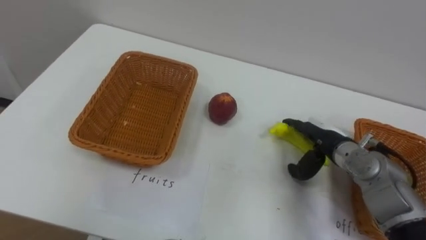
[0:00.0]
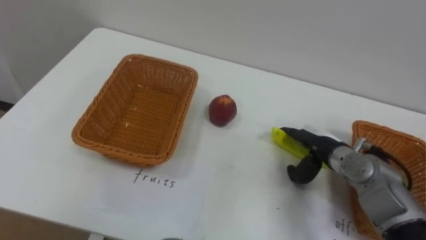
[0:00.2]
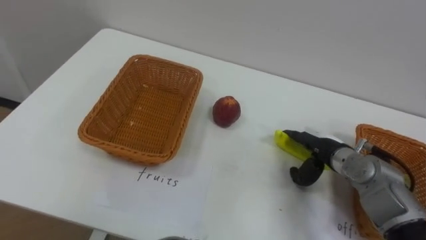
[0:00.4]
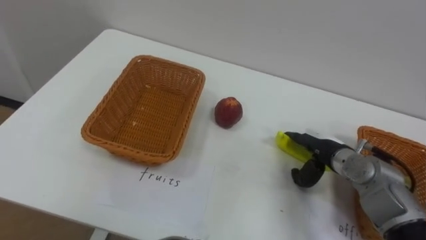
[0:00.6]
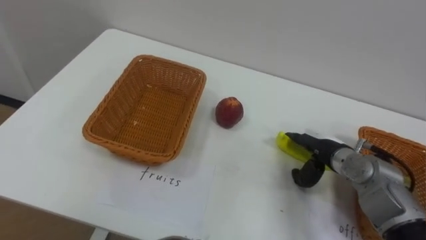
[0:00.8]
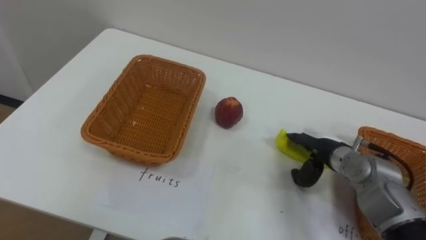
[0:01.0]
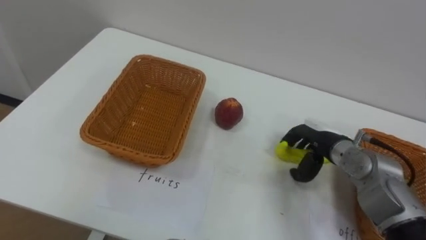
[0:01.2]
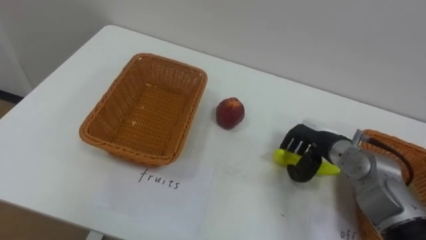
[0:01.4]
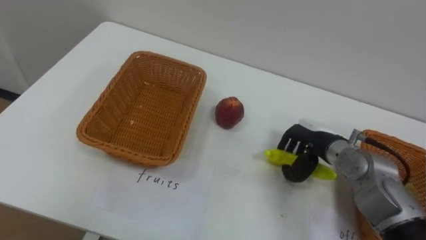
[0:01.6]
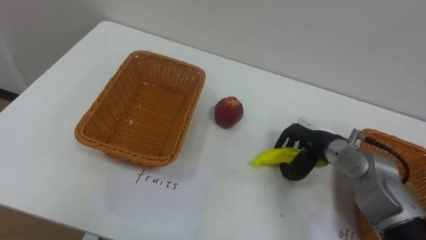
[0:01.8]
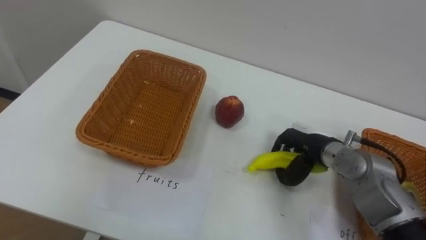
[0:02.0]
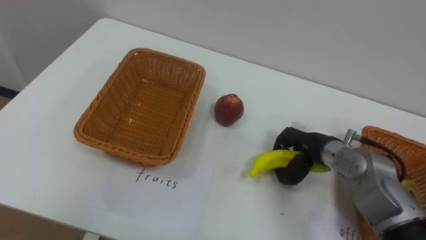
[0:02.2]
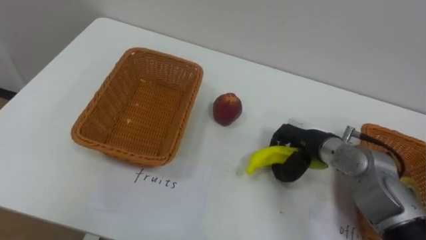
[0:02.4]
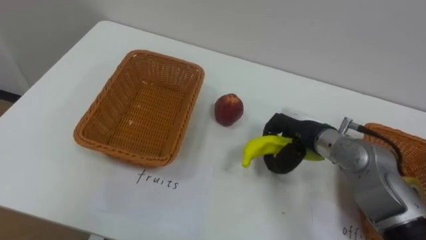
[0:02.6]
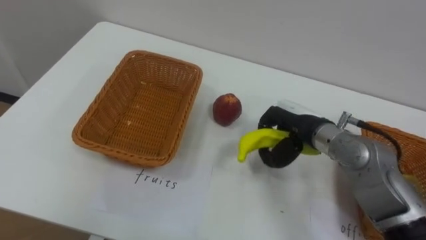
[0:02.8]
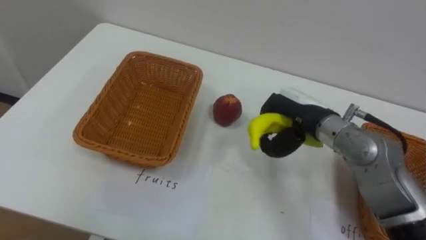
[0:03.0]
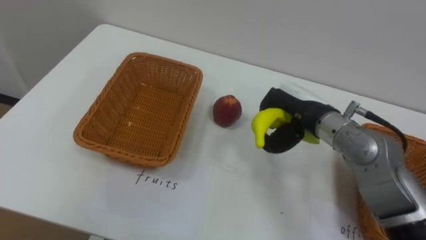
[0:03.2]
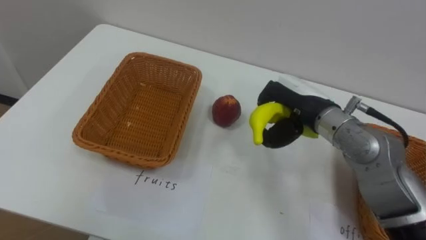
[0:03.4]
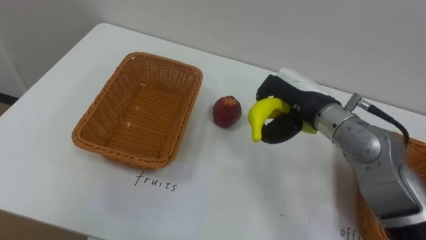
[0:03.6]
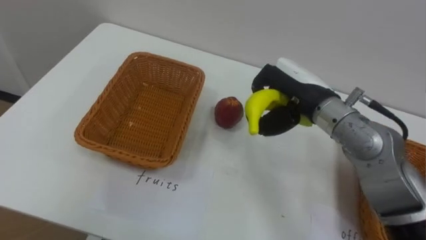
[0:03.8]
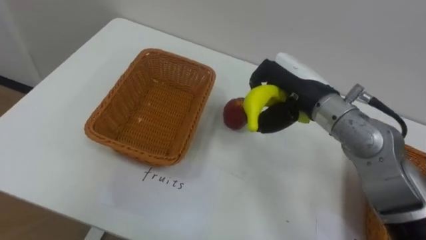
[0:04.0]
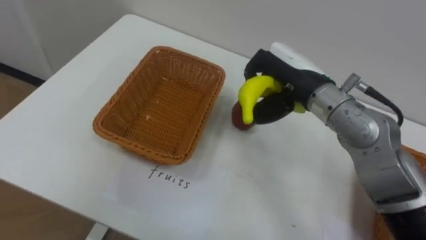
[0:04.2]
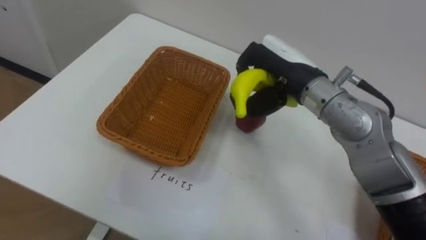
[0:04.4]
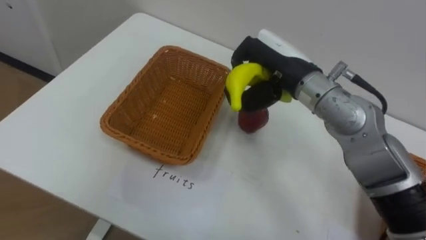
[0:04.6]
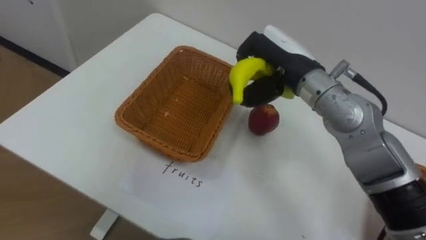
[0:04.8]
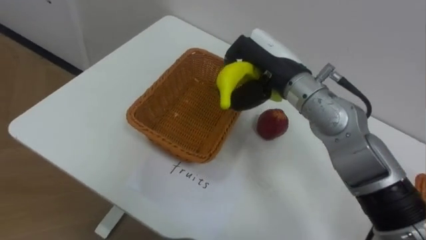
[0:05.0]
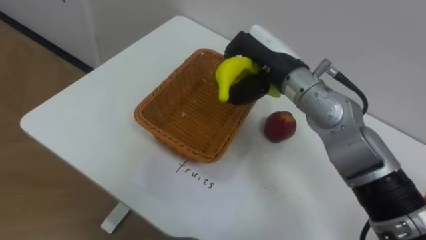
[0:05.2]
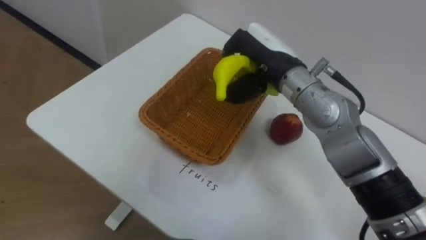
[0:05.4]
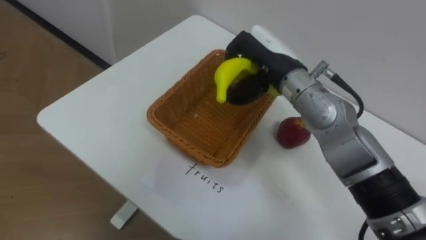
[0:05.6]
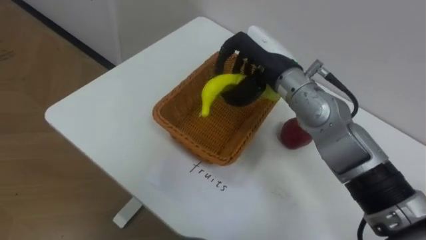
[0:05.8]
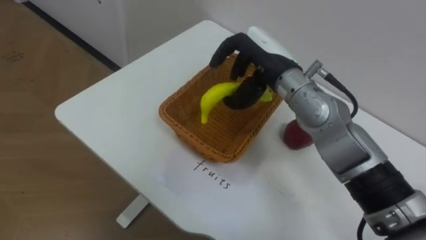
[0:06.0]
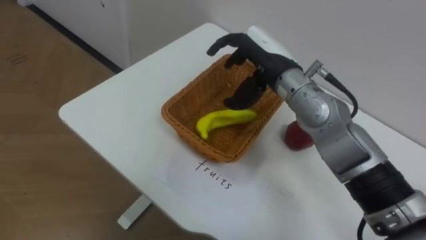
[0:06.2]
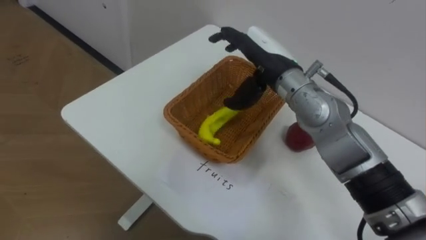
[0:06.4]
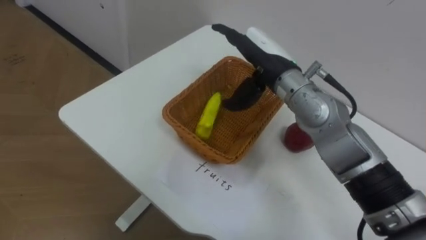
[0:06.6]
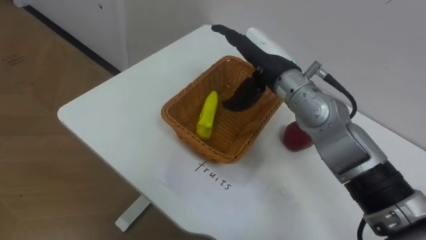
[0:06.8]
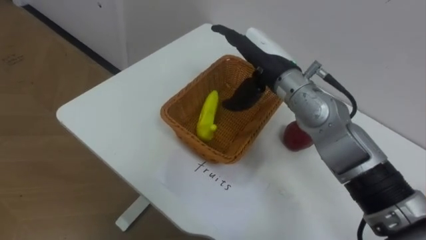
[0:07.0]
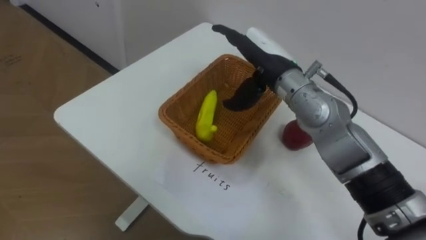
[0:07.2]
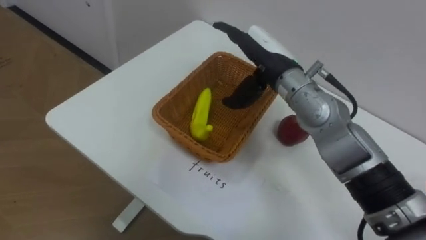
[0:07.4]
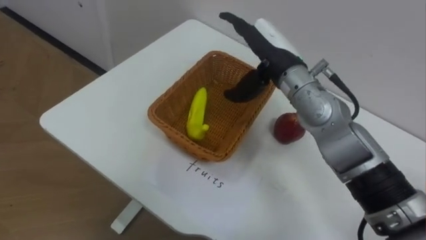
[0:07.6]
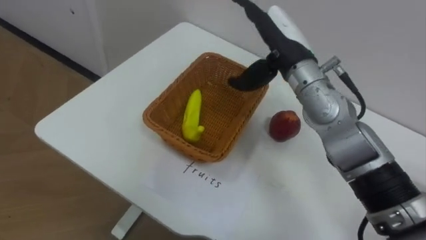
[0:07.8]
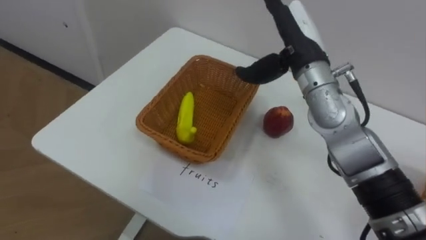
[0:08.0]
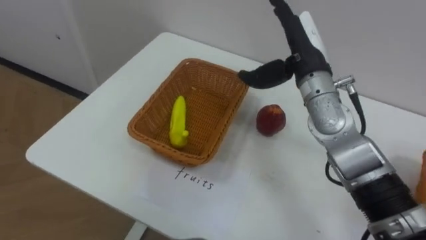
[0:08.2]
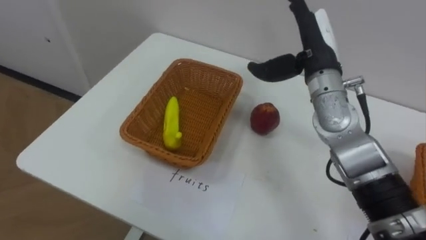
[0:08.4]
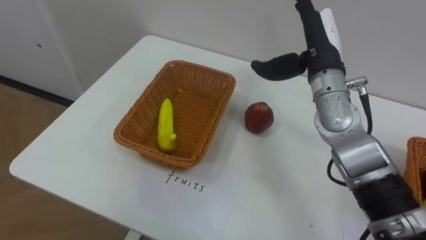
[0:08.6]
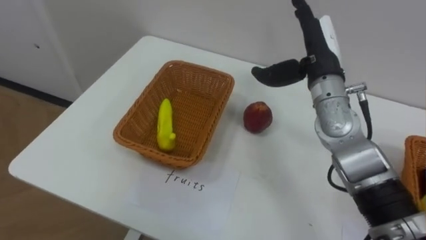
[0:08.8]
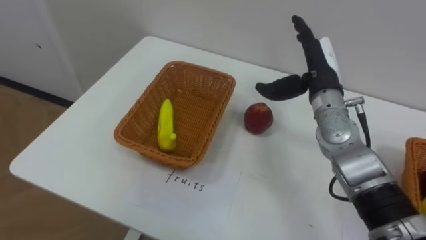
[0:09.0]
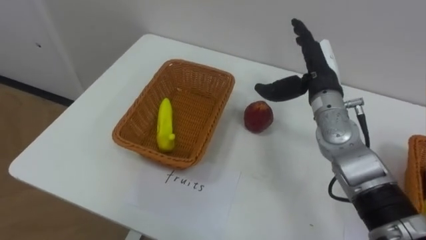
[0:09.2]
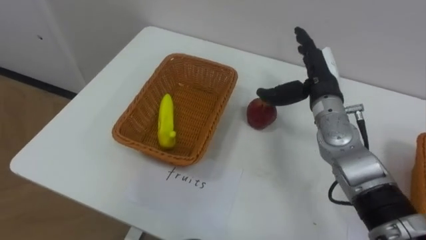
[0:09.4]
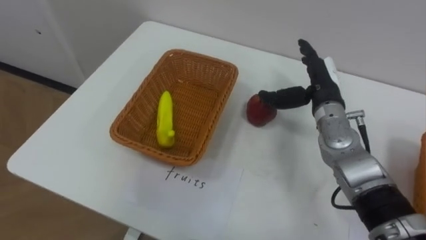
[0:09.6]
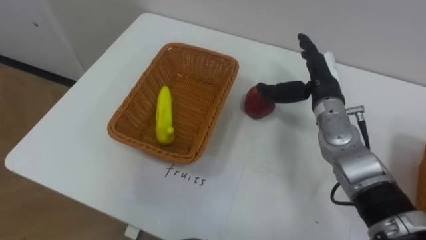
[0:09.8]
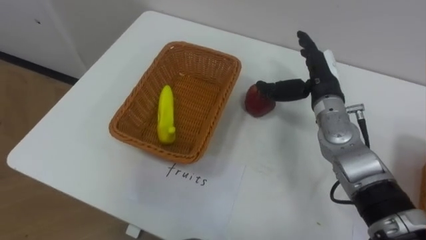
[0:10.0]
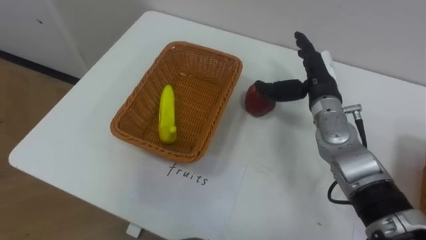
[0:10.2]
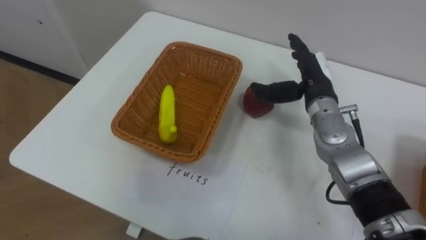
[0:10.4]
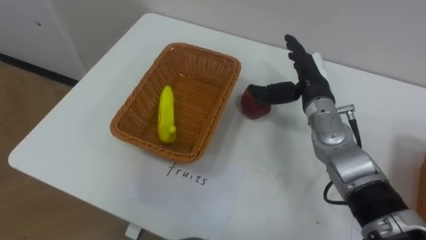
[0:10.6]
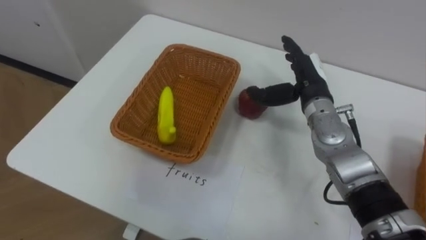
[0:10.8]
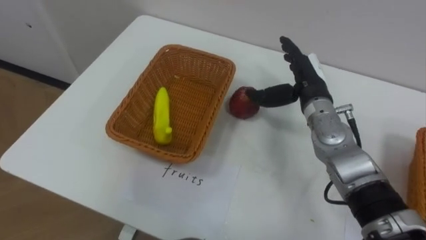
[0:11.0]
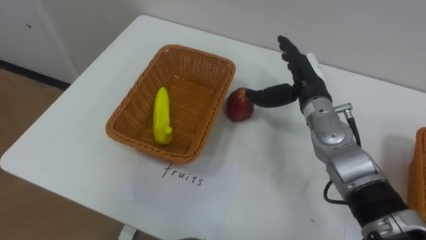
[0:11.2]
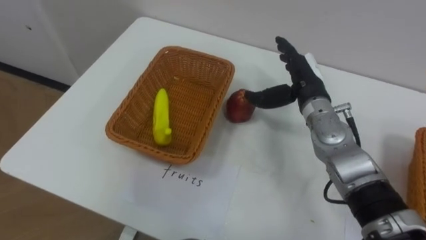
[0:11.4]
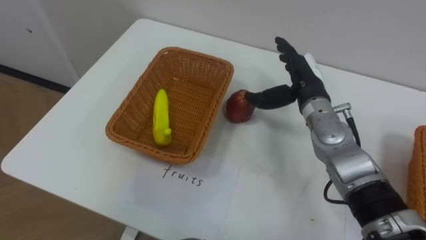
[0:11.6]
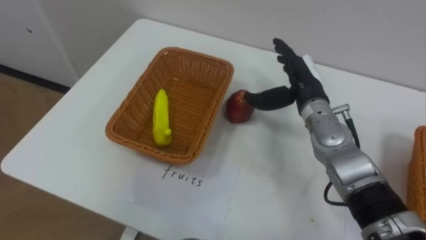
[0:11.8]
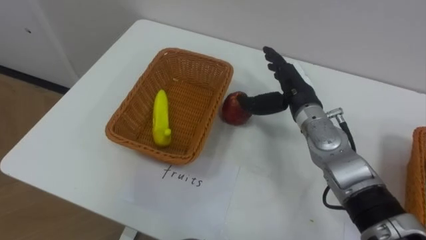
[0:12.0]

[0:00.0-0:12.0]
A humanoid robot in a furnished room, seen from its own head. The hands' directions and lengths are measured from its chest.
Task of the whole recording: Separate the items on the table and place them into the two baskets.
0:00.0 to 0:01.6: The right hand closes its fingers.
0:01.6 to 0:03.0: The right hand shifts roughly 10 cm upward.
0:03.0 to 0:04.4: The right hand travels upward by about 10 cm.
0:04.4 to 0:06.0: The right hand opens up.
0:06.0 to 0:07.6: The right hand opens.
0:07.6 to 0:09.0: The right hand is displaced to the right by some 10 cm.

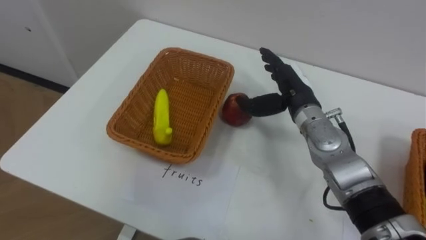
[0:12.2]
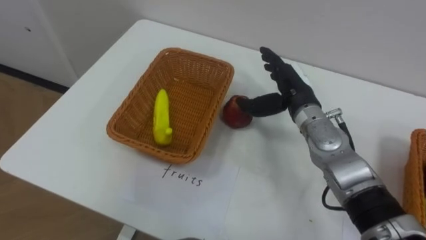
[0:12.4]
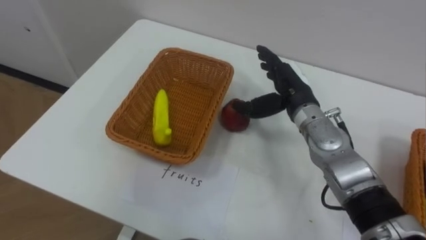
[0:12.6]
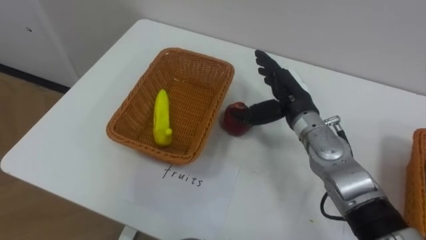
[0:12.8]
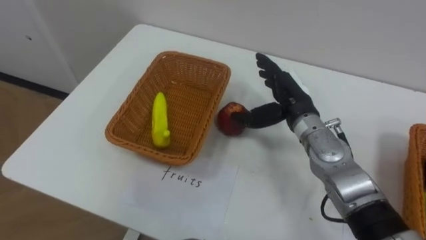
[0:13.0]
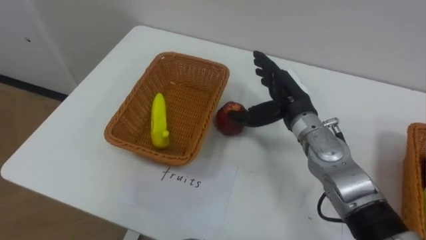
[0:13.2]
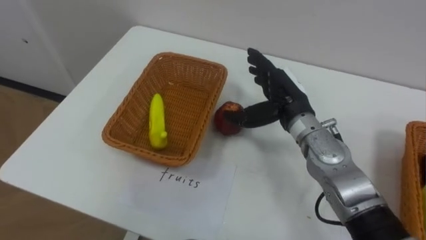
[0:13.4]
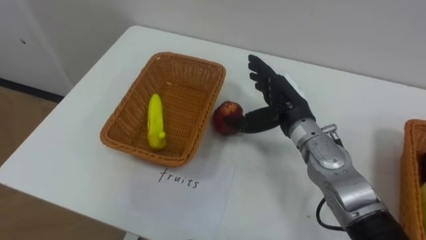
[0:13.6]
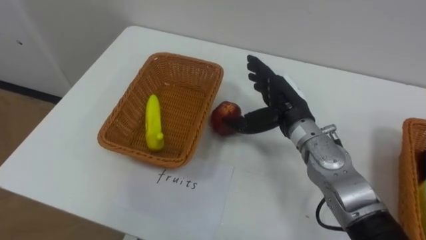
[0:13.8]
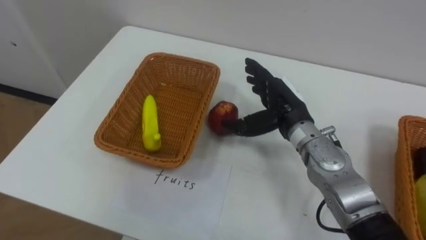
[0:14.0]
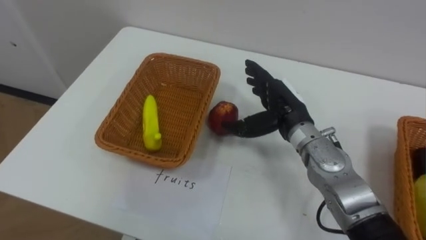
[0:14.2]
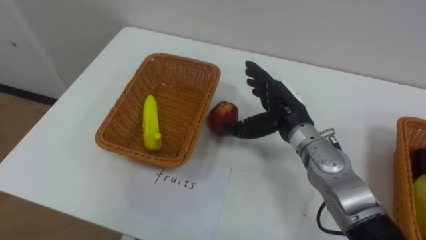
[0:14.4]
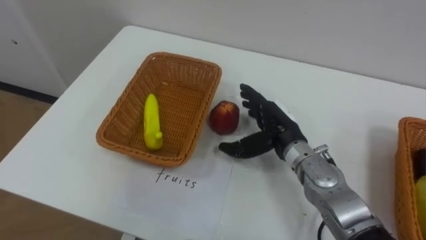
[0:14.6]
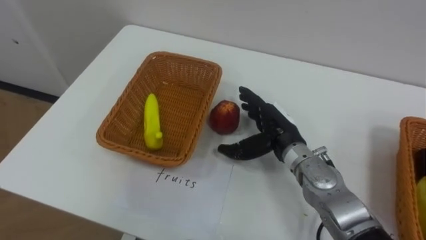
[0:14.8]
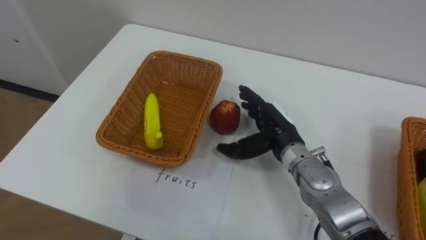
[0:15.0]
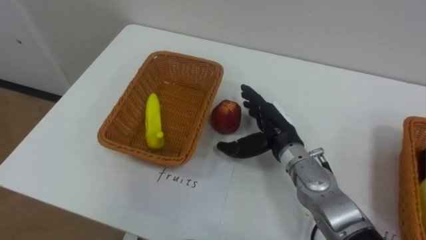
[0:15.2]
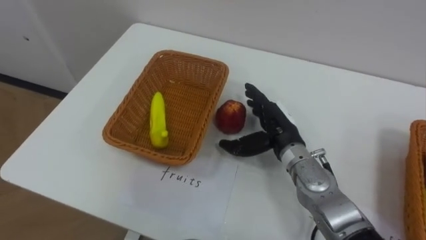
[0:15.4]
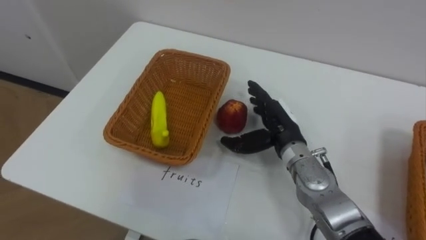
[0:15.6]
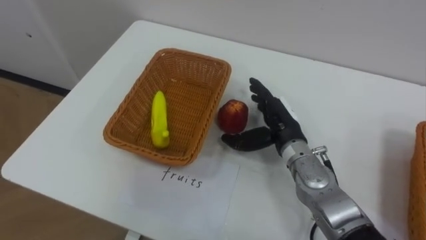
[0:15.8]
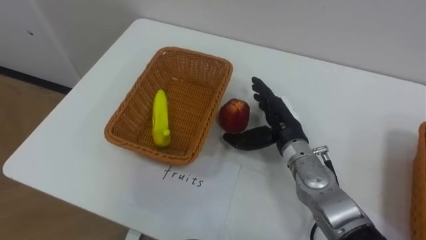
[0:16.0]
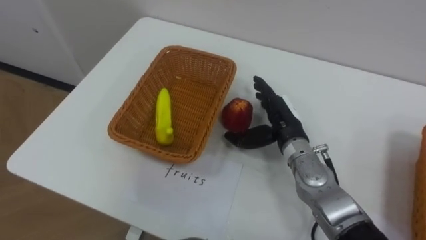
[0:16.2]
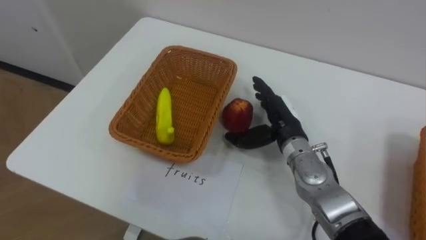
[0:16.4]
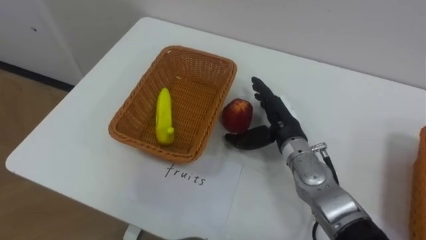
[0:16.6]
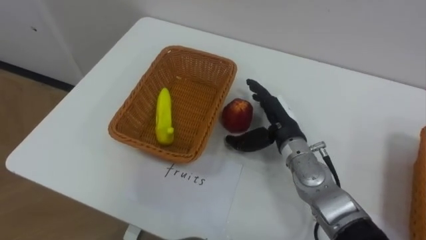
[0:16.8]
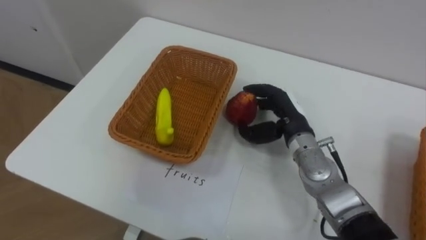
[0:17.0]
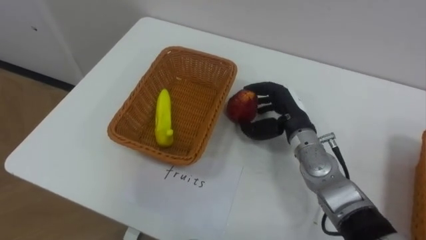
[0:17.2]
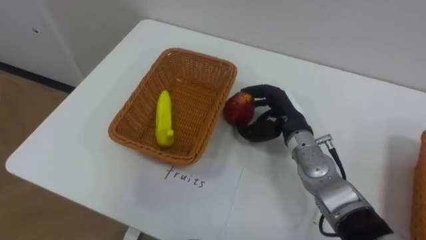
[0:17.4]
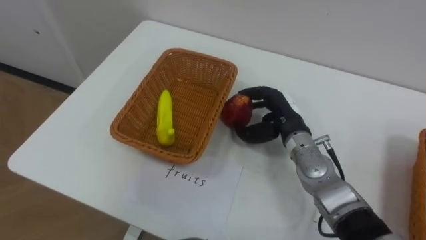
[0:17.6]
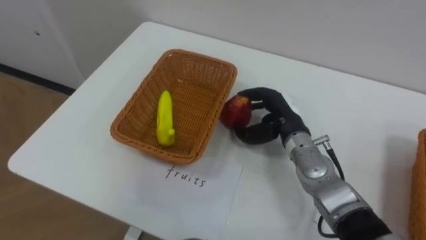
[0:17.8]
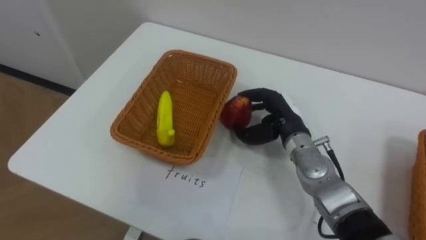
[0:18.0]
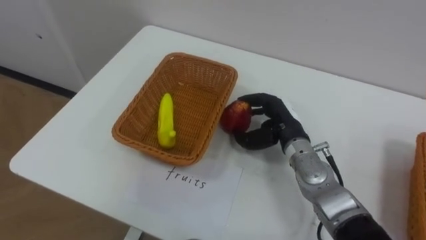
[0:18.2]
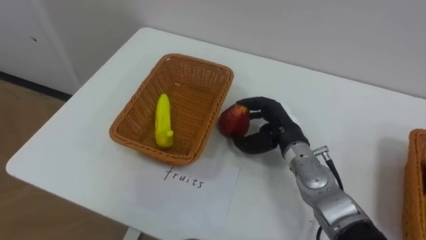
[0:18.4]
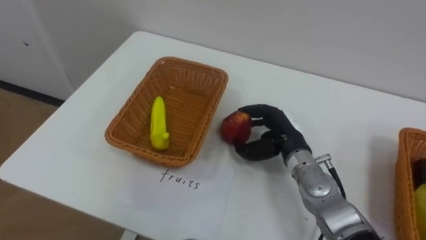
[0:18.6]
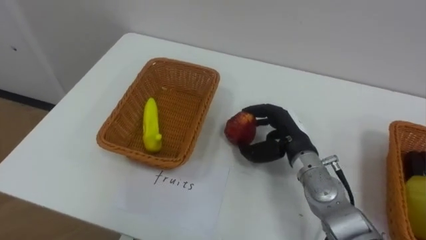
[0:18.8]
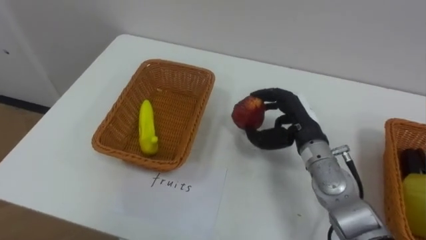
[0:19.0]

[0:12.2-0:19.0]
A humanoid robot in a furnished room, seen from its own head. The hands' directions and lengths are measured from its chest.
Task of the whole recording: Separate the items on the table and place them into the two baskets.
0:13.6 to 0:15.0: The right hand ends up approximately 5 cm from where it was.
0:16.2 to 0:17.6: The right hand closes.
